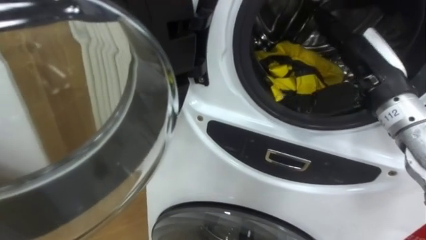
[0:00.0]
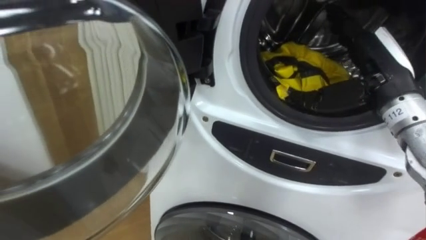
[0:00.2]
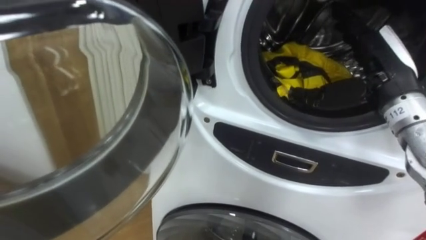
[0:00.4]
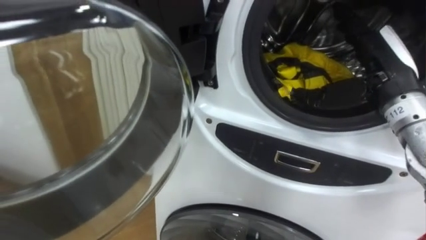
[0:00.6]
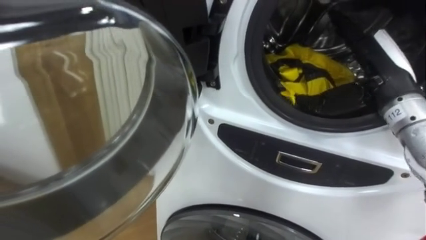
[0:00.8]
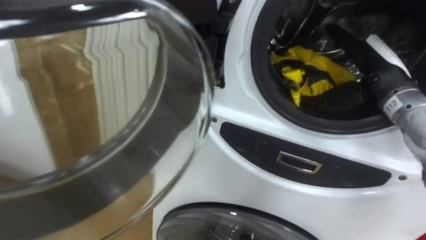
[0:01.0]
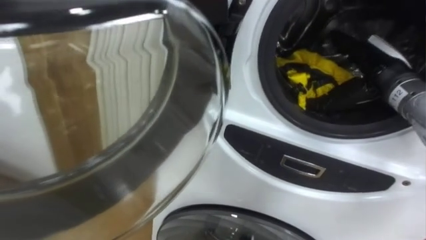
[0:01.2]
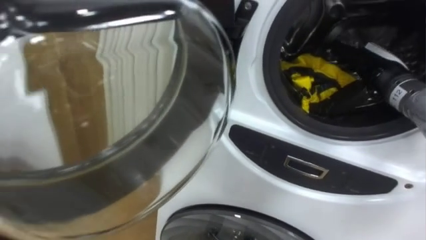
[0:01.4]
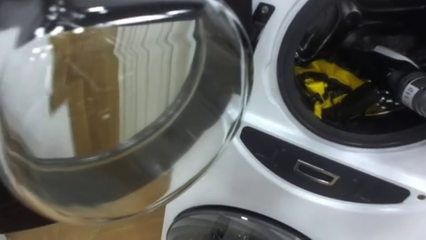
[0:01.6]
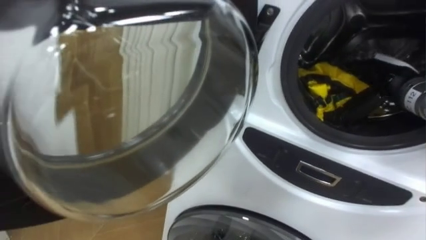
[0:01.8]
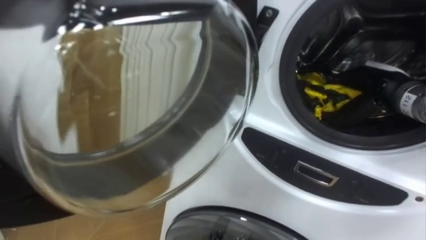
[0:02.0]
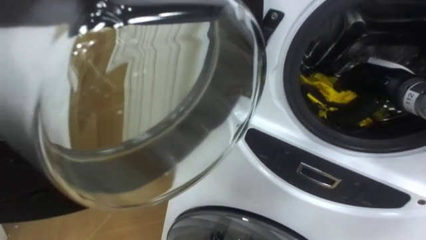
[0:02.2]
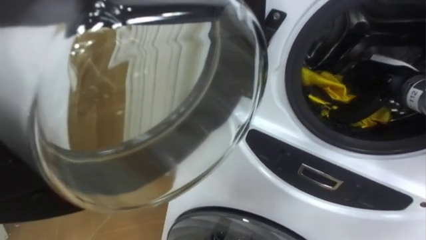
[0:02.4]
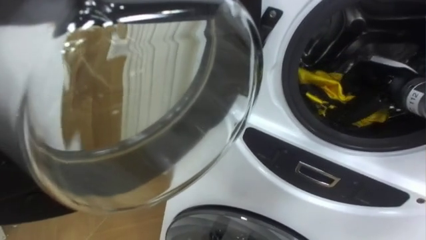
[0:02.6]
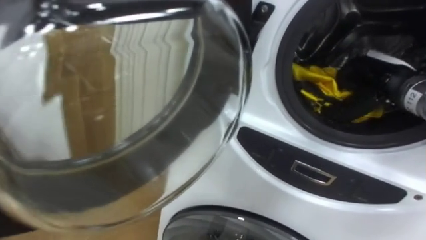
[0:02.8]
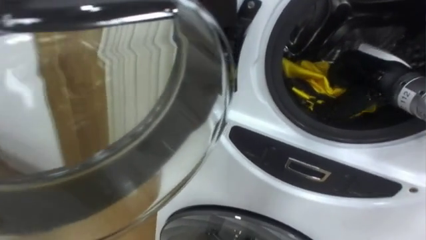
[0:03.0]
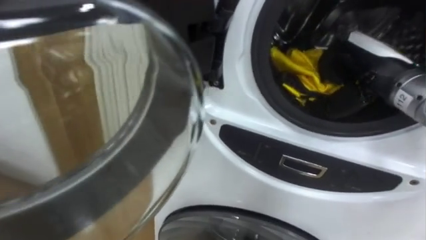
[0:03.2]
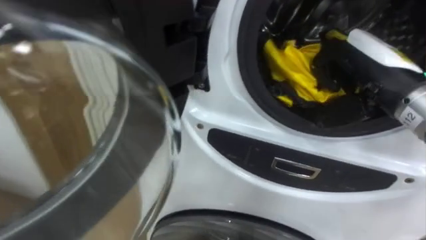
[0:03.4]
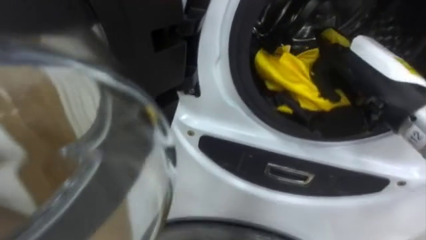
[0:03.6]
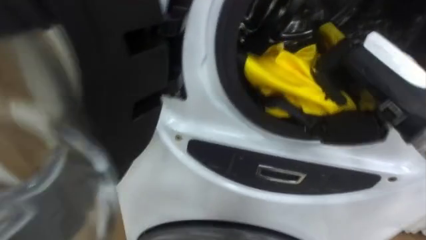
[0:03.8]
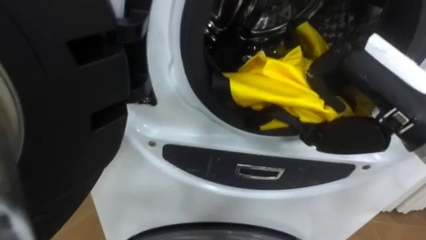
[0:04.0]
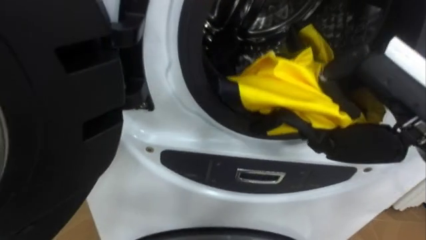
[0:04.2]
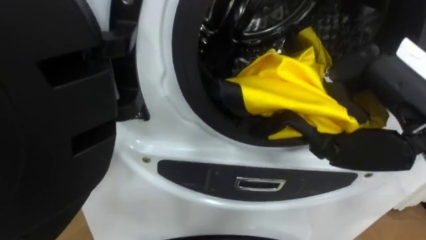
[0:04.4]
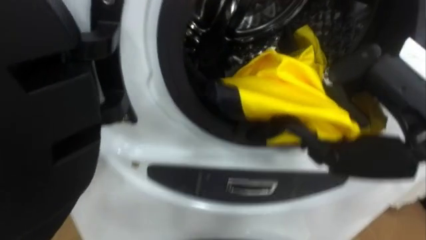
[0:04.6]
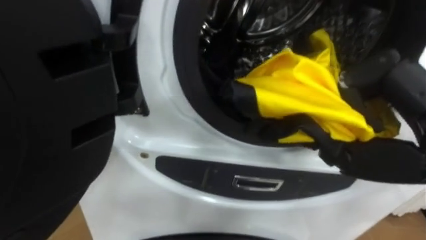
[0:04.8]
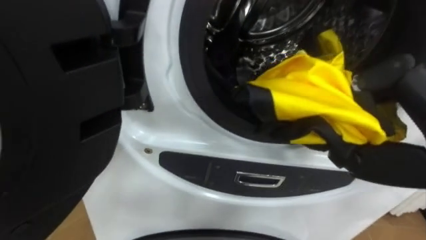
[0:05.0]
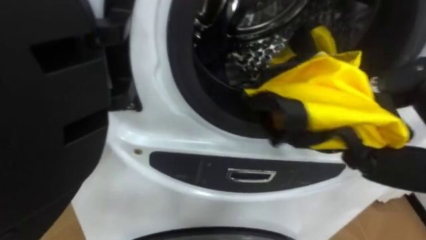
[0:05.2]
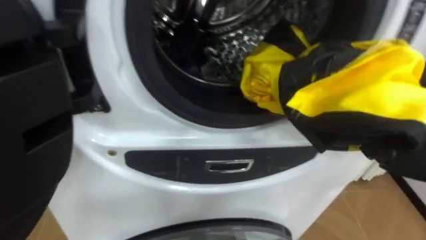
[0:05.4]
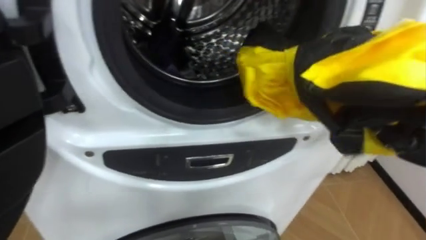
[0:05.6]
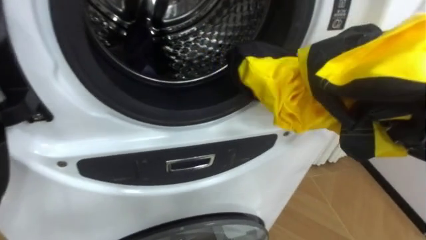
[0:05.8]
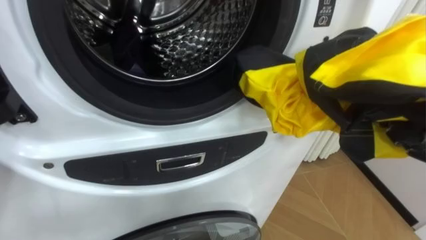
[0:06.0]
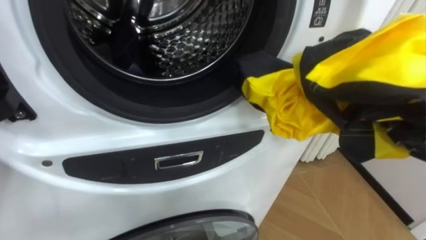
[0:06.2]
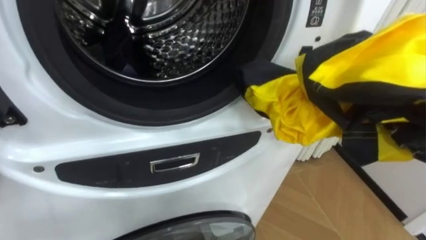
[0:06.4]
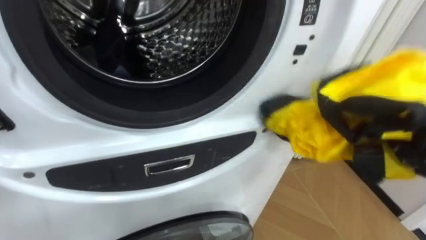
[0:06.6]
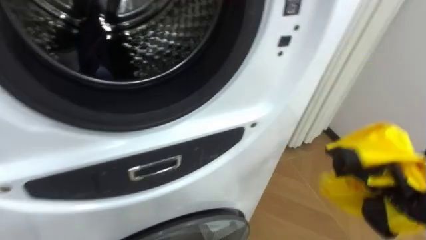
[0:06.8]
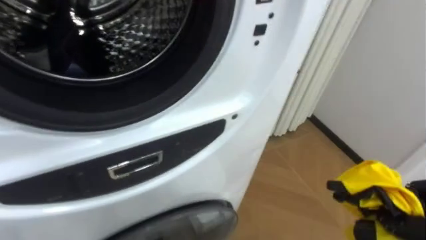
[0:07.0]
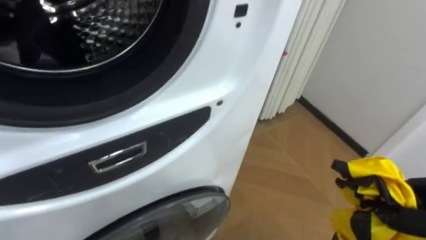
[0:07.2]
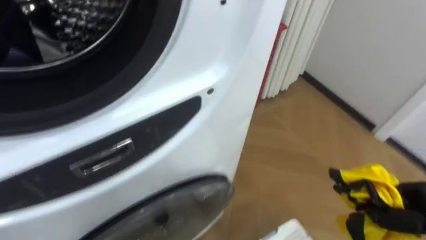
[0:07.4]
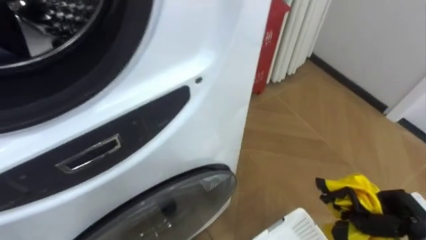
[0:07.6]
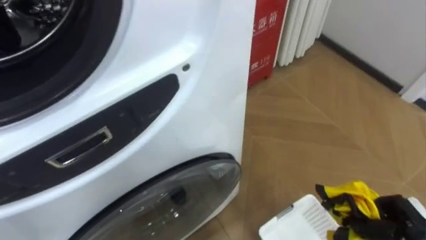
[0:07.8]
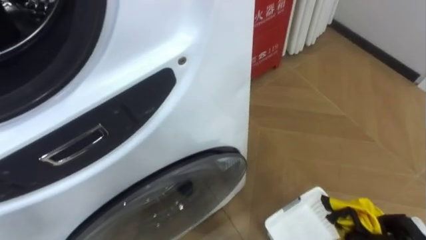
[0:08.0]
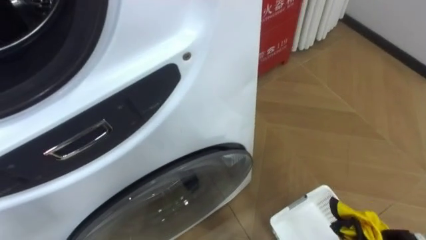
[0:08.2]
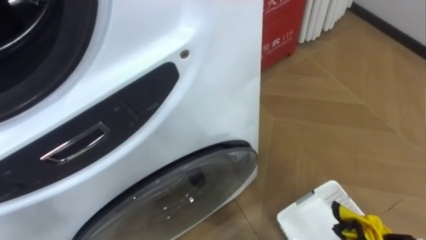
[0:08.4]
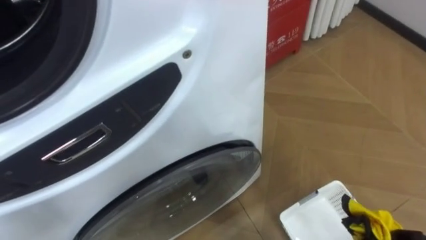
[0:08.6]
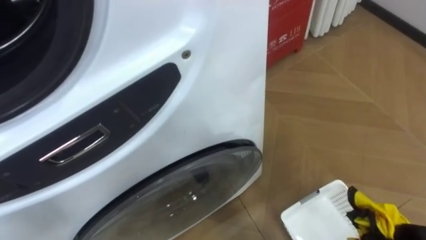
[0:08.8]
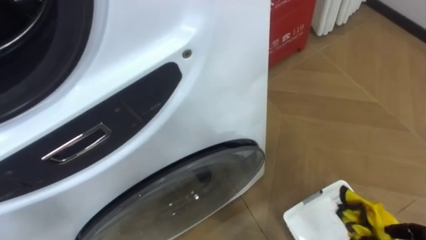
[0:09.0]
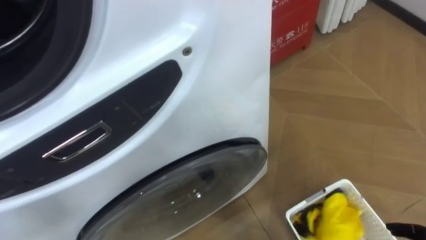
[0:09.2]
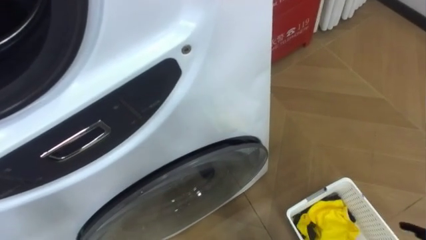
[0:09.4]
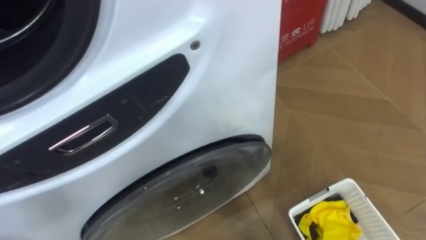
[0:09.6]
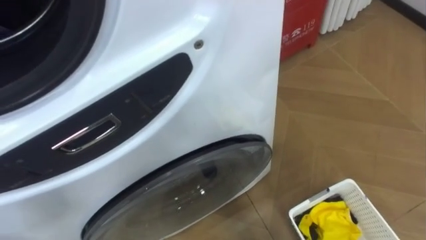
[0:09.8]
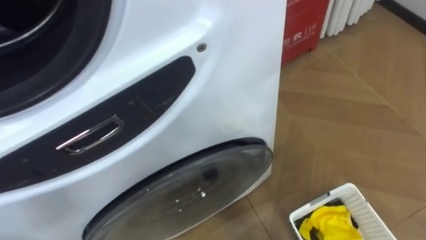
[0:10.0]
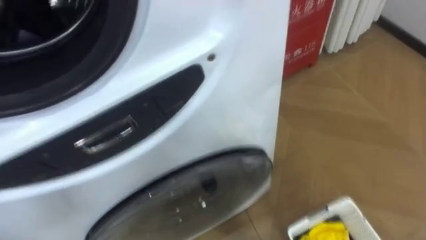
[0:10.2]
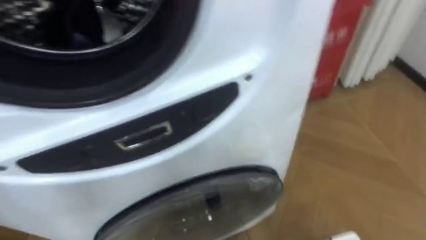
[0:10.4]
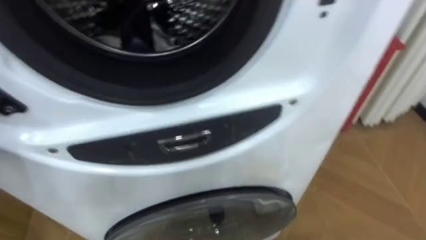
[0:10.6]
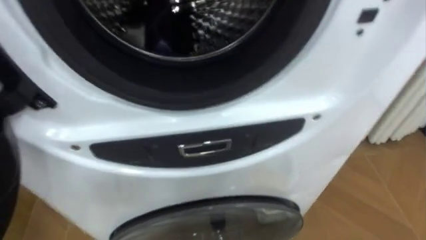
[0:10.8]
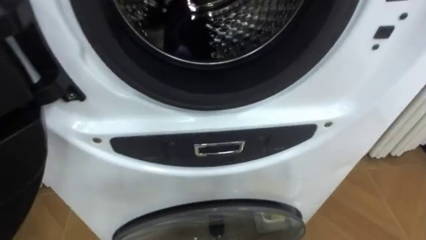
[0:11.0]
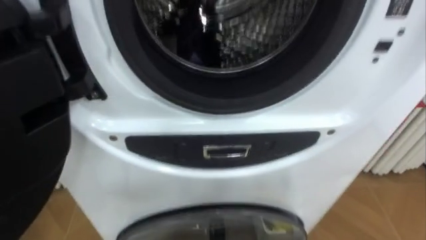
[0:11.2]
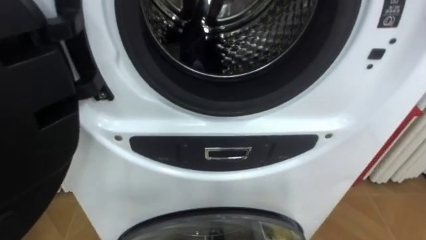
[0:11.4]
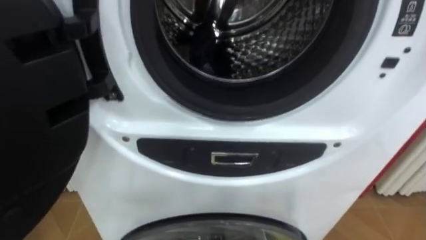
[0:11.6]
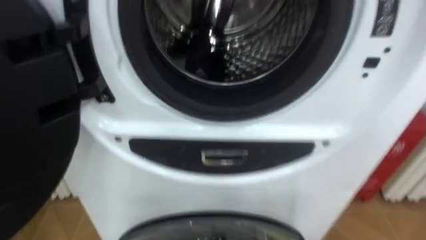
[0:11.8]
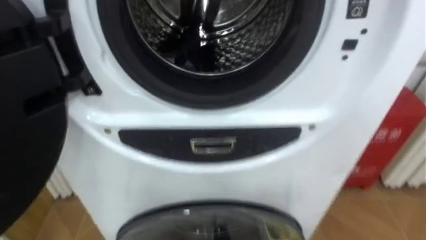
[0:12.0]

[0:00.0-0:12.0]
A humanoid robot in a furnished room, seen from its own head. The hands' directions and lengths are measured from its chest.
Task of the whole recording: Open the washing machine door, take out the yellow clothes, place them in the box on the right, and close the washing machine door.
0:00.0 to 0:01.6: The right hand heads to the right and forward, covering about 10 cm.
0:01.6 to 0:03.0: The right hand closes.
0:03.0 to 0:04.4: The right hand heads backward and upward, covering some 20 cm.

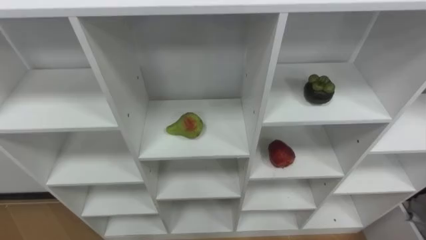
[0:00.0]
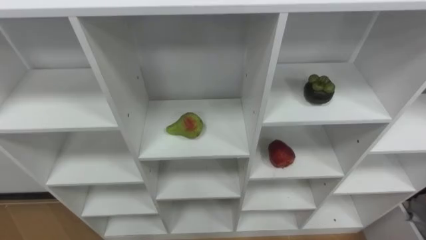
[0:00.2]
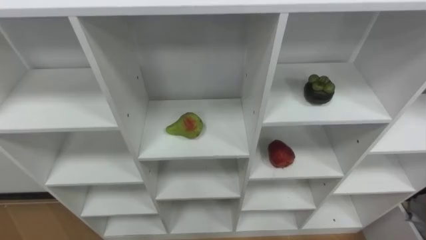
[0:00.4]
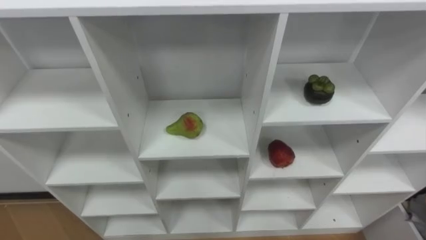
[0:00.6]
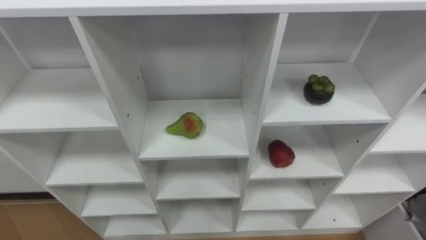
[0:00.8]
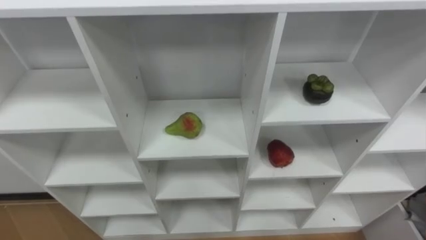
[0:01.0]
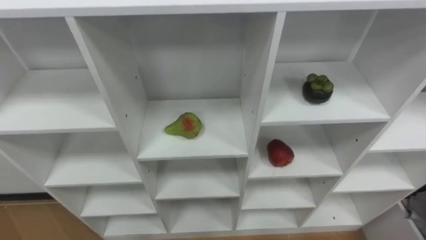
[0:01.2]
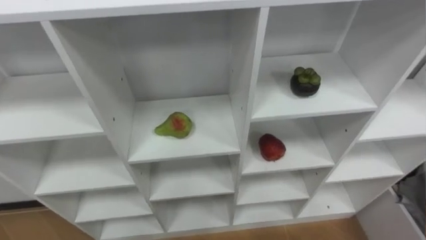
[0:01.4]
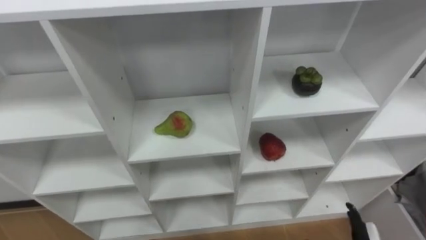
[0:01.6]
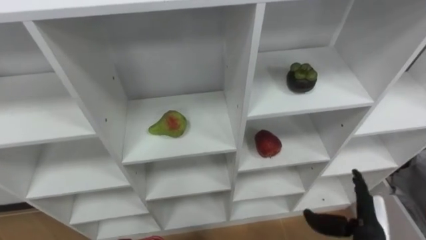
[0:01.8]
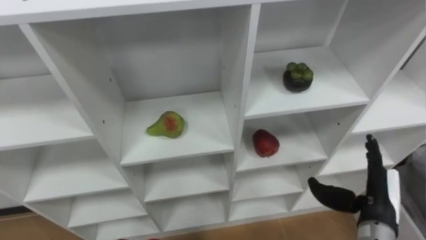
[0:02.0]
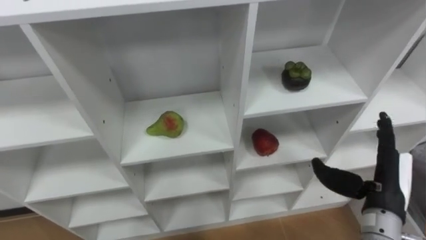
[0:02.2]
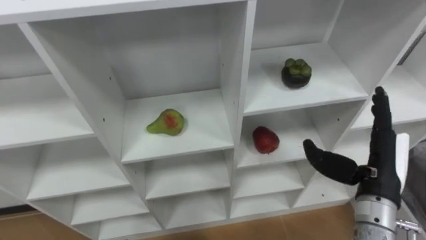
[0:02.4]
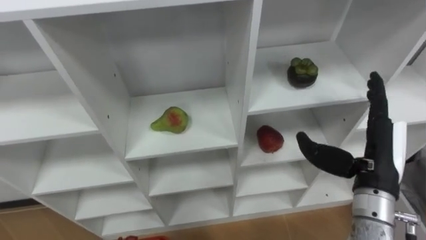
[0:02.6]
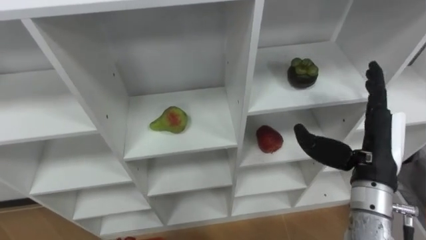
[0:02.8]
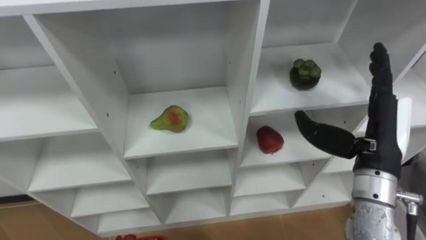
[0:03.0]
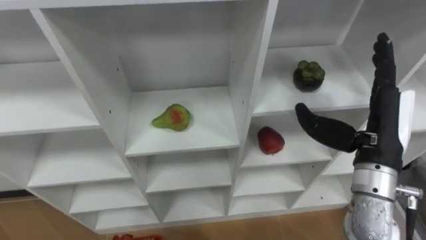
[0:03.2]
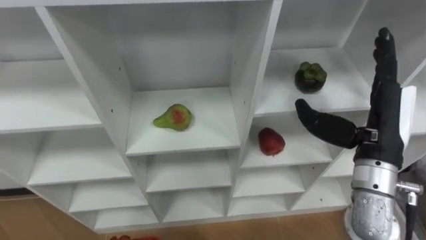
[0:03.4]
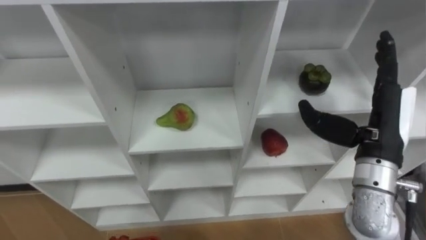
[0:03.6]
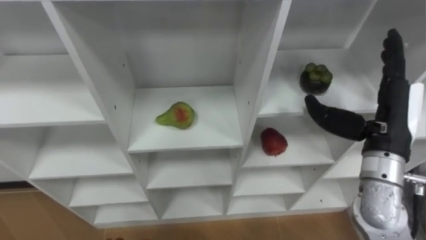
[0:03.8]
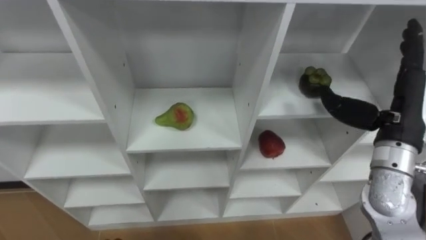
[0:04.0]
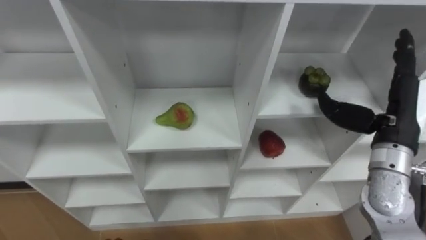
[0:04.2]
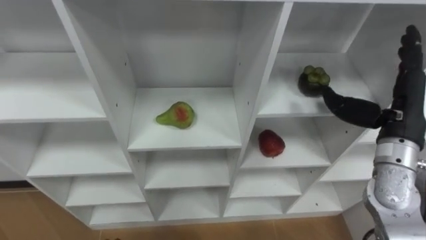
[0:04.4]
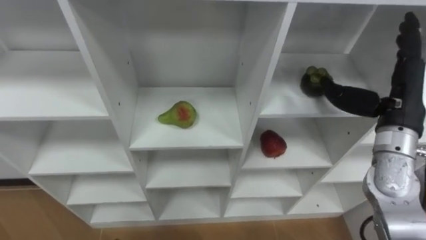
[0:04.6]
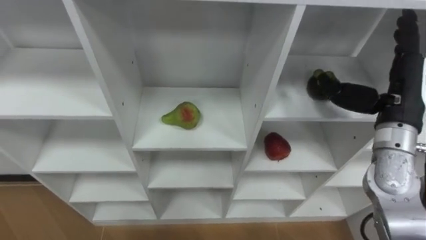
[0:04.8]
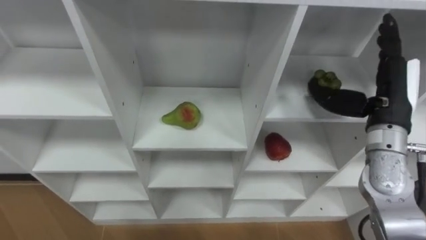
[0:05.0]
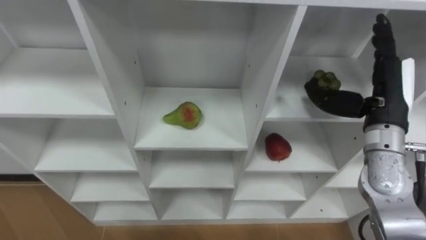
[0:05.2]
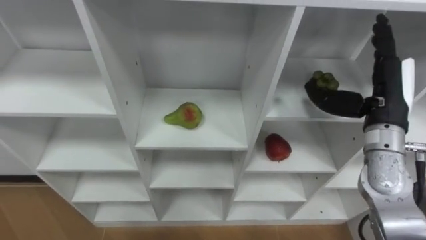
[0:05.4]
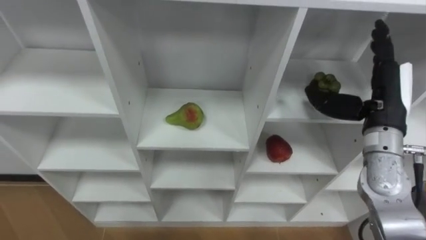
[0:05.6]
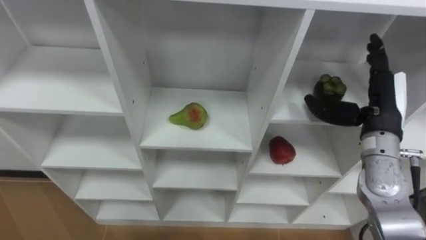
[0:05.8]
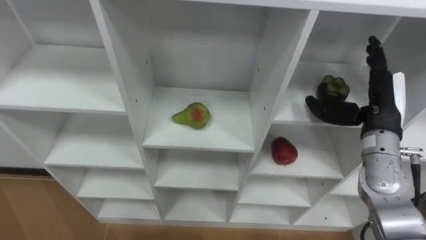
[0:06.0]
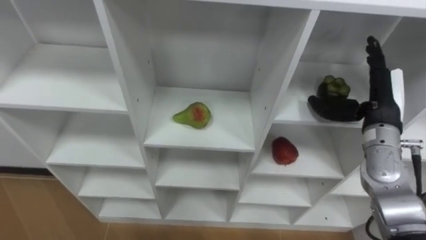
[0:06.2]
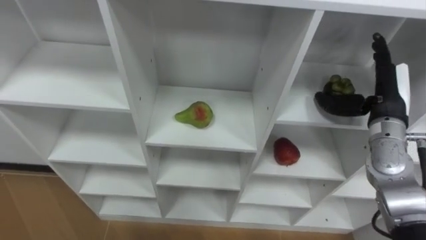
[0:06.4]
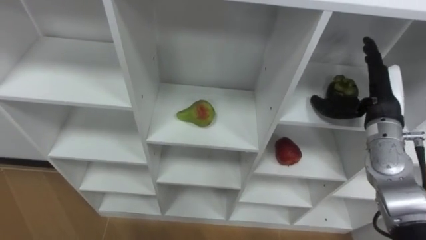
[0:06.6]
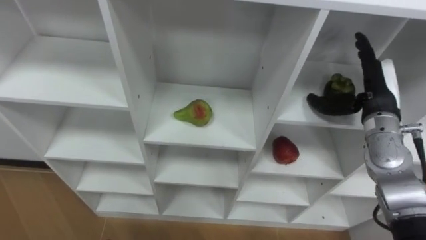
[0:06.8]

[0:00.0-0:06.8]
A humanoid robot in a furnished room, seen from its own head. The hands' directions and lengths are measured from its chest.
Task of the whole recording: Hold the basket and collect the fruits from 3 different cells of the closet into it.
0:02.8 to 0:04.0: The right hand changes place by about 5 cm.
0:05.4 to 0:06.8: The right hand moves some 5 cm.
